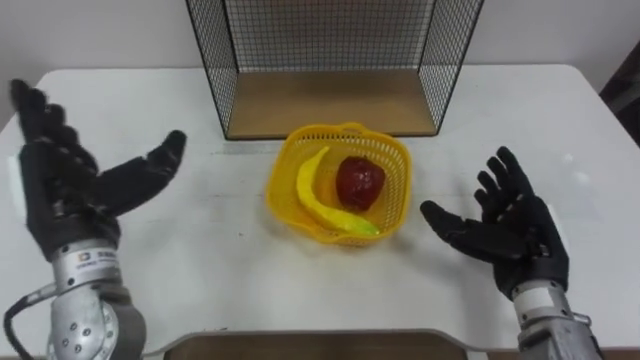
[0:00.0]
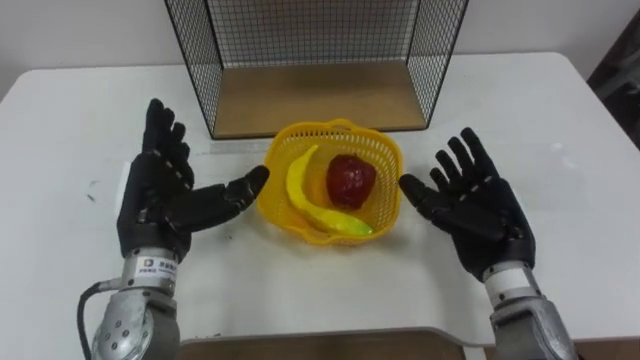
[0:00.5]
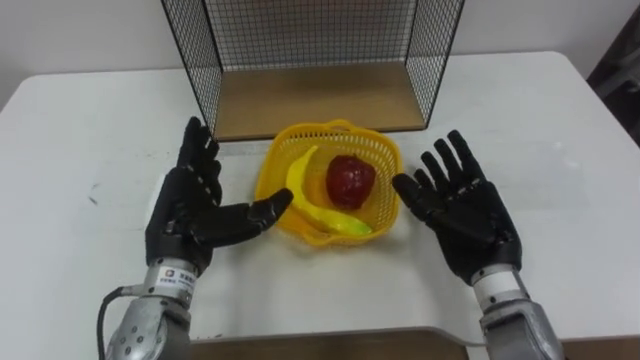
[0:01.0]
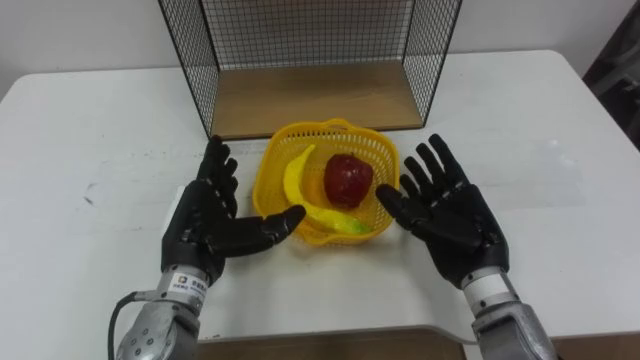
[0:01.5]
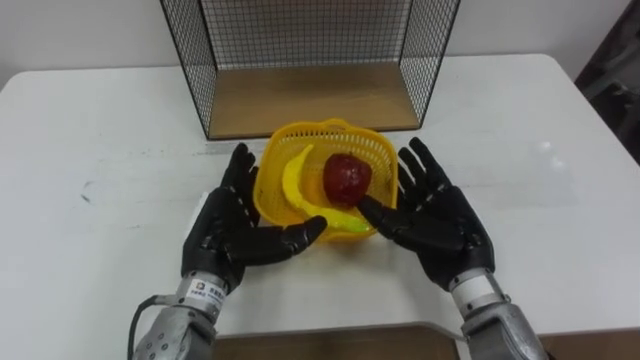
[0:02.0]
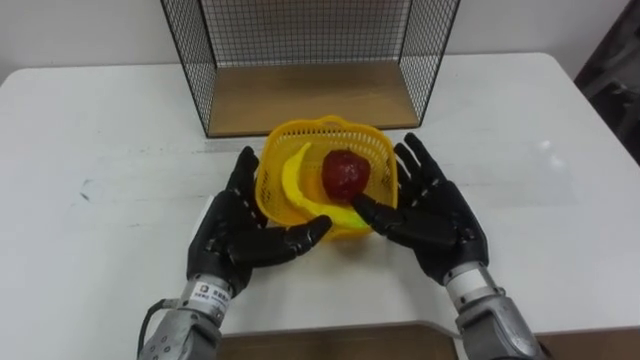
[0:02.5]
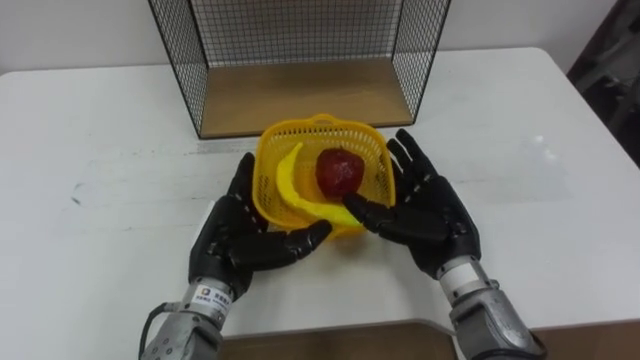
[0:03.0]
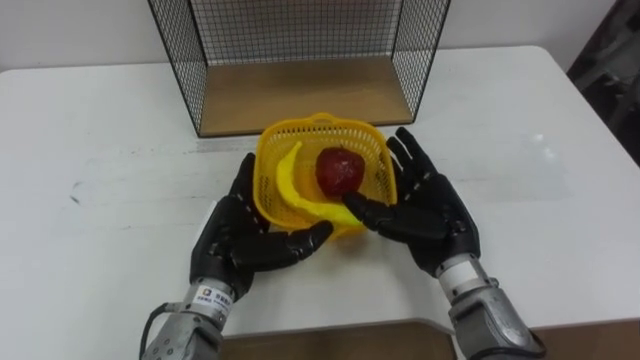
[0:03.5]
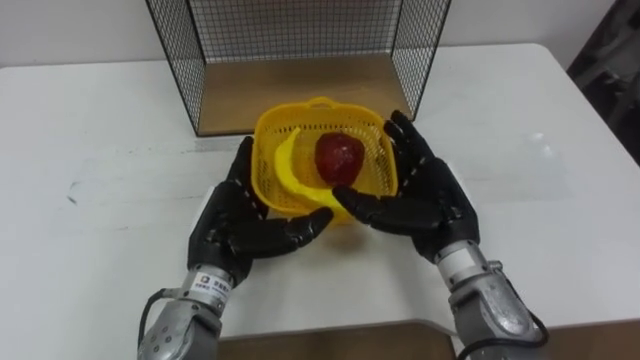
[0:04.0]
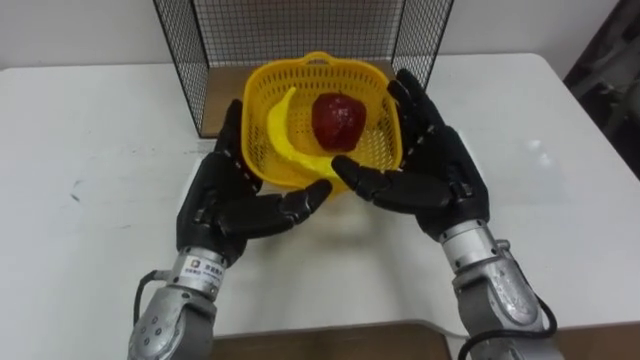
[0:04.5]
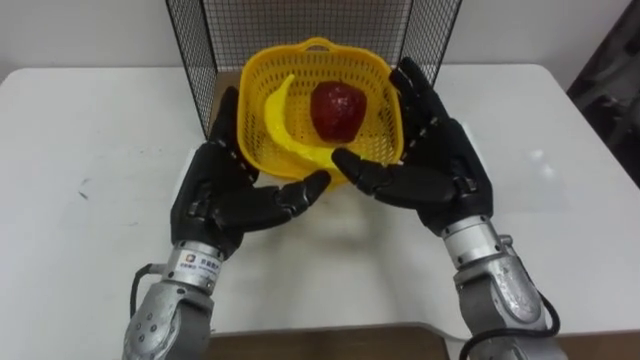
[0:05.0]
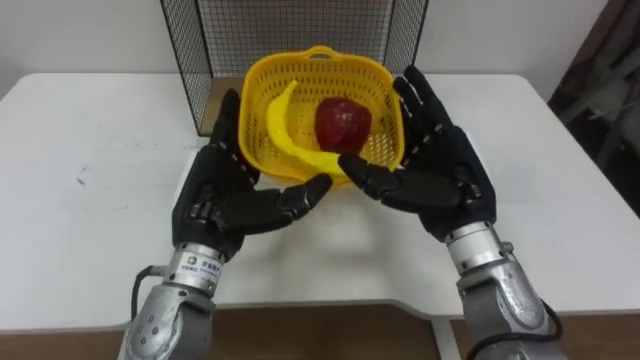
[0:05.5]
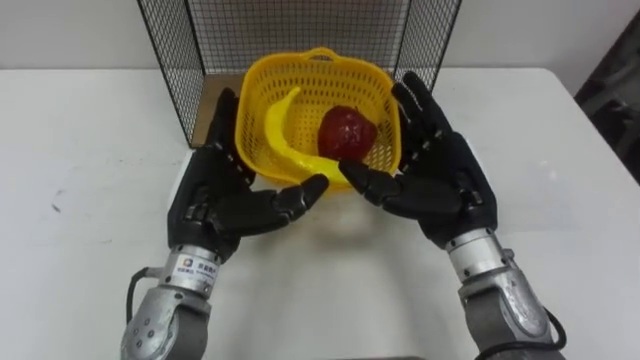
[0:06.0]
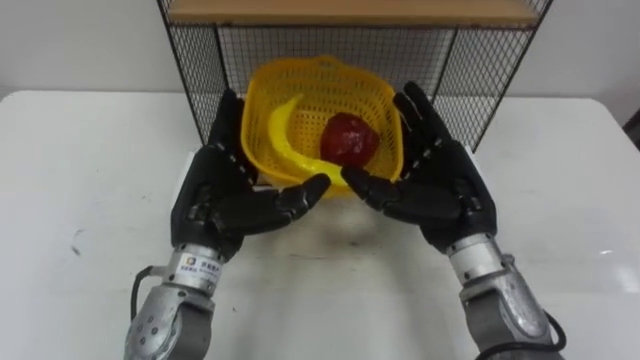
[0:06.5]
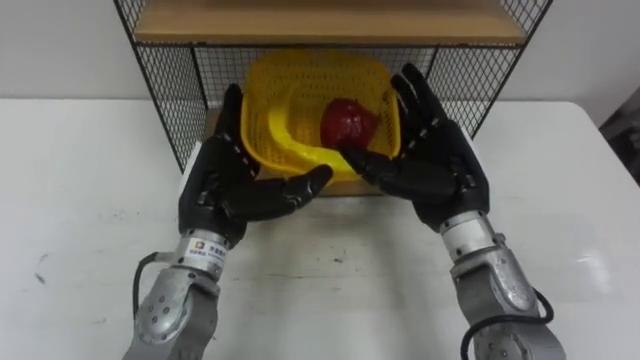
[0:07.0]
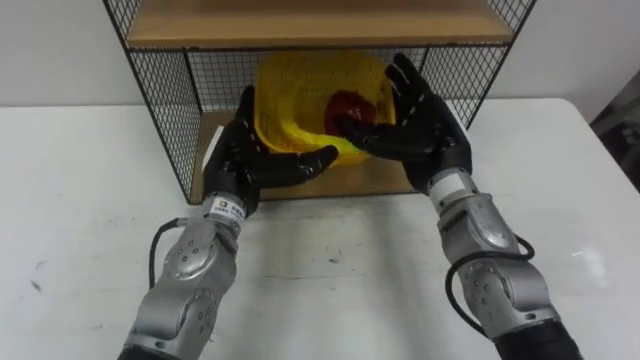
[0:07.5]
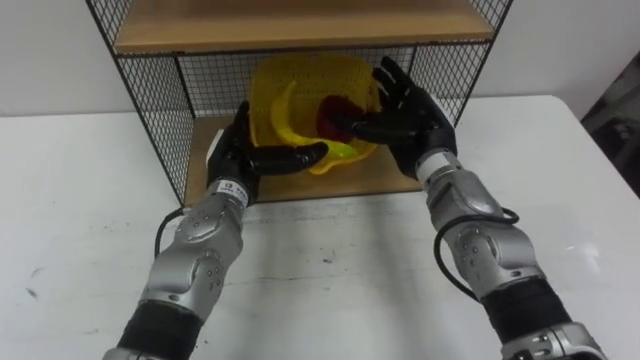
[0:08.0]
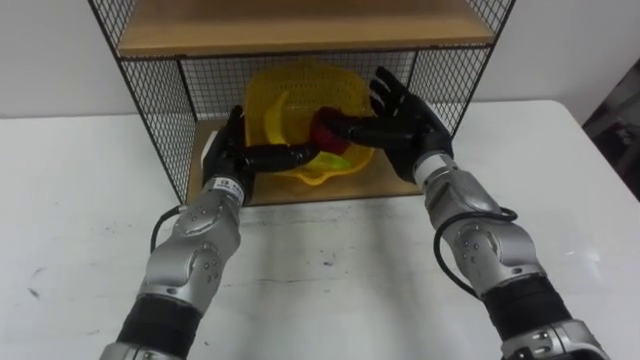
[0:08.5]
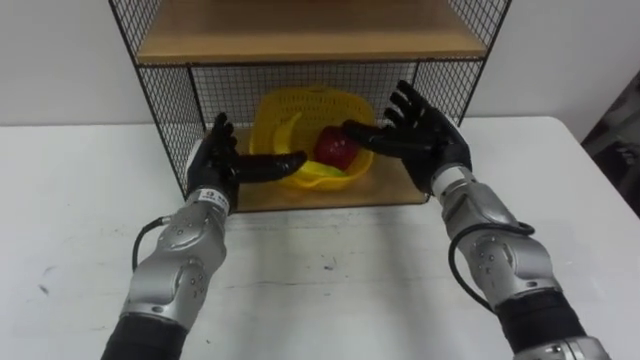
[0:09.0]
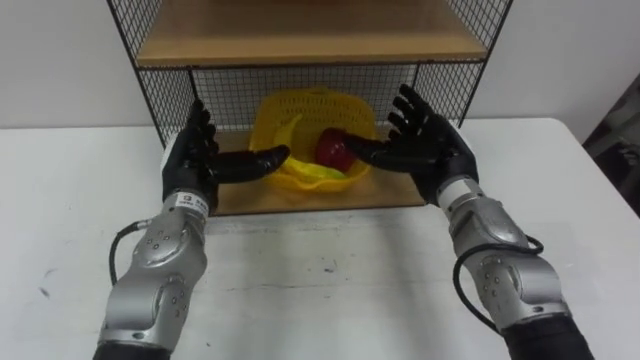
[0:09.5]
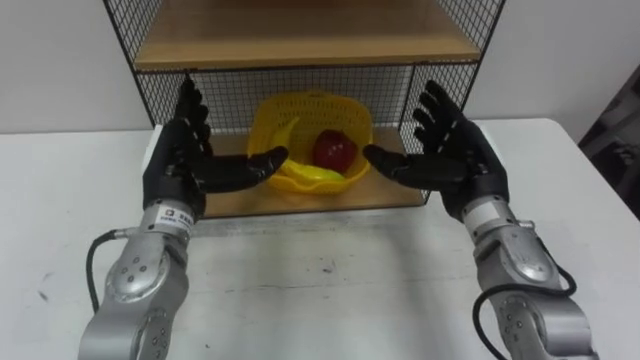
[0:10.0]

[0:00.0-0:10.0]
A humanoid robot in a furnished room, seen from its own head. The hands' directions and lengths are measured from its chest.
Task of the whole recording: Put the fruit on the table into the basket, then place the basket on the shelf.
0:00.0 to 0:02.0: The right hand moves to the left, some 10 cm. Meanwhile the left hand is displaced to the right and downward by about 15 cm.
0:02.0 to 0:04.0: There are only small adjustments of the hands.
0:04.0 to 0:06.0: The right hand ends up roughly 5 cm from where it was. The left hand moves upward, roughly 5 cm.
0:06.0 to 0:08.0: The left hand goes roughly 10 cm forward and downward; the right hand shifts approximately 10 cm forward.
0:08.0 to 0:10.0: The left hand moves to the left, approximately 5 cm; the right hand is displaced to the right and backward by some 10 cm.

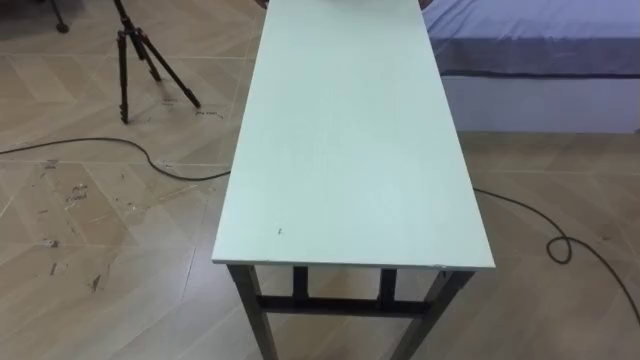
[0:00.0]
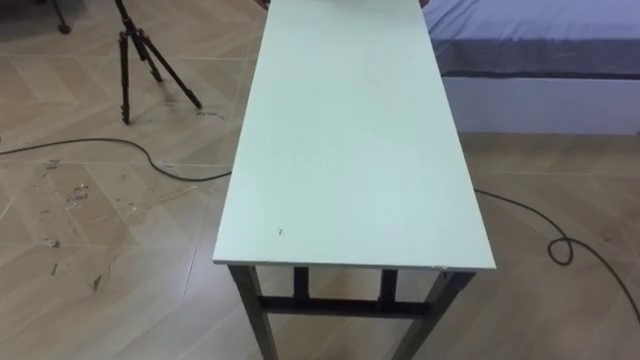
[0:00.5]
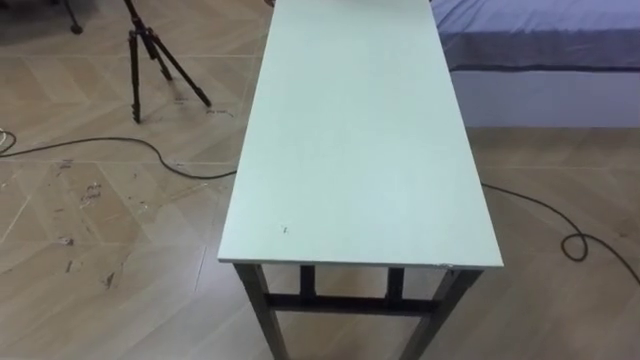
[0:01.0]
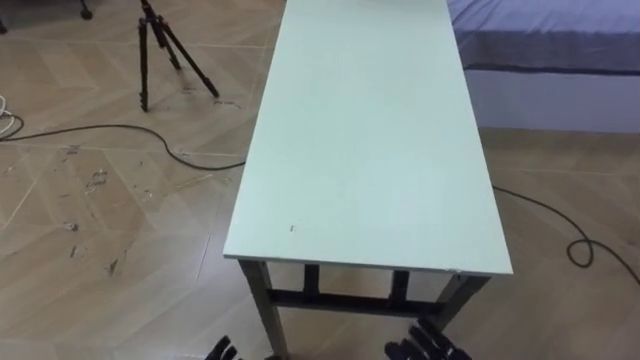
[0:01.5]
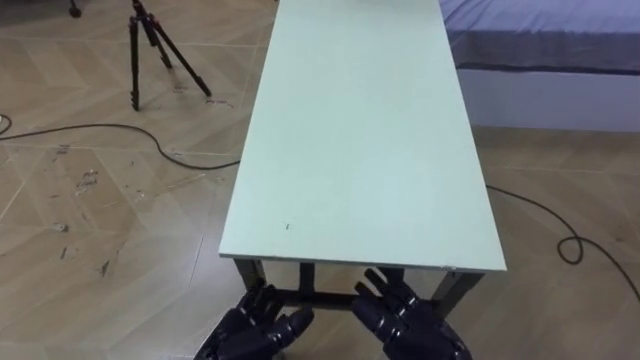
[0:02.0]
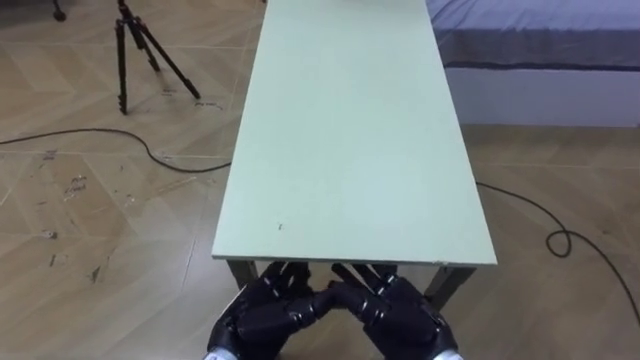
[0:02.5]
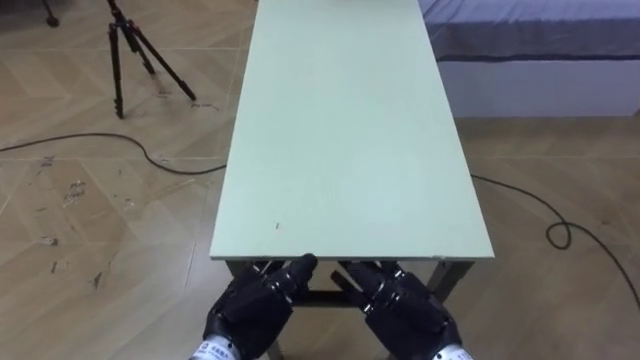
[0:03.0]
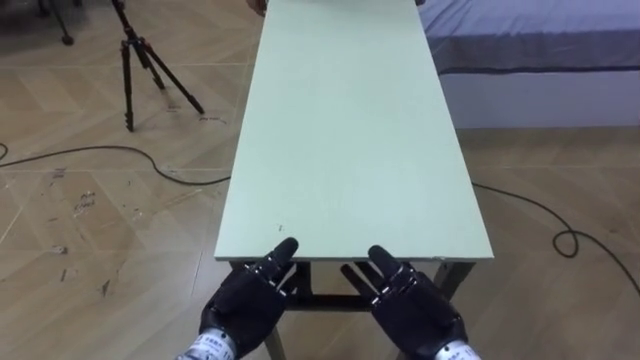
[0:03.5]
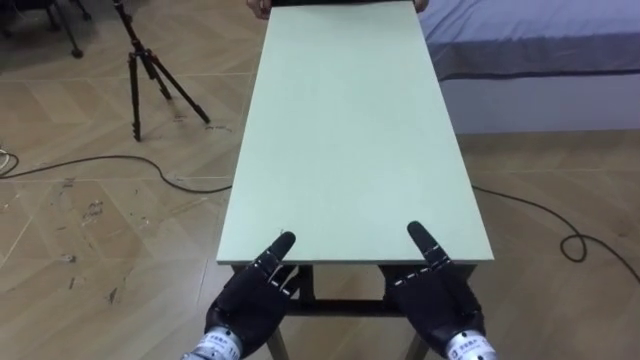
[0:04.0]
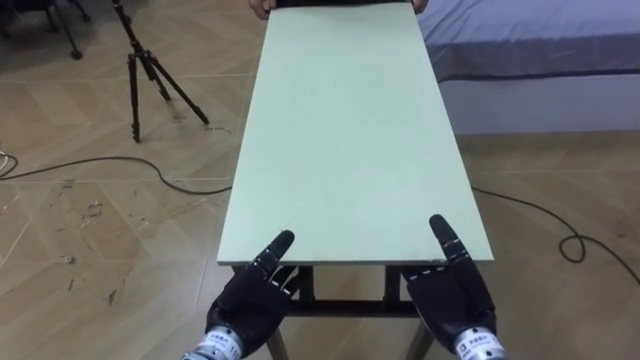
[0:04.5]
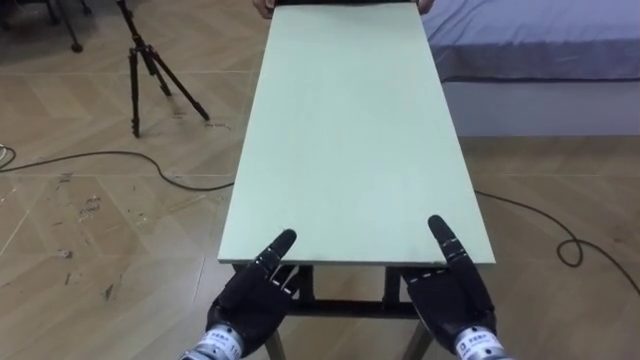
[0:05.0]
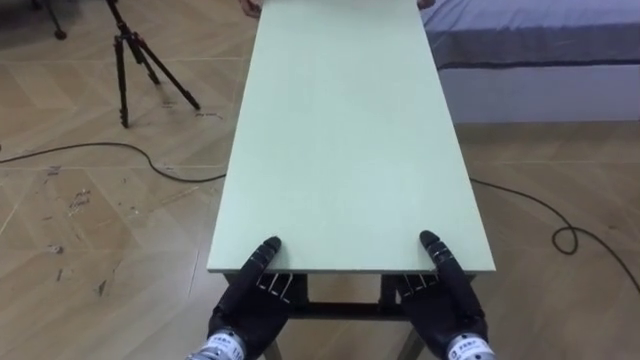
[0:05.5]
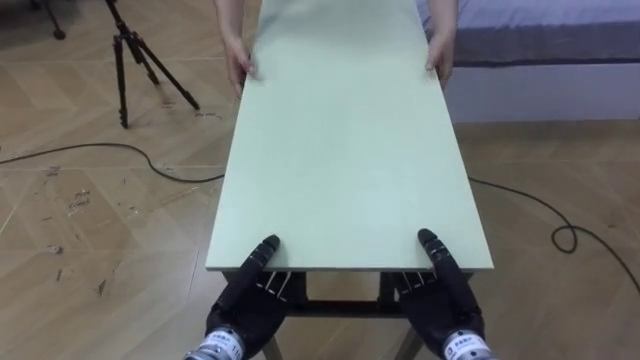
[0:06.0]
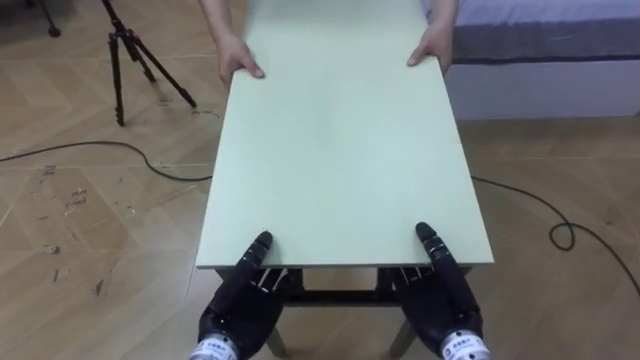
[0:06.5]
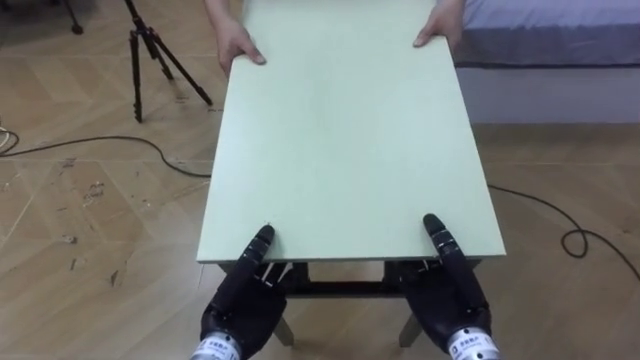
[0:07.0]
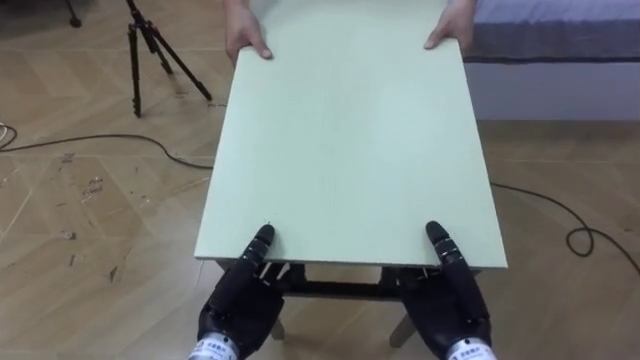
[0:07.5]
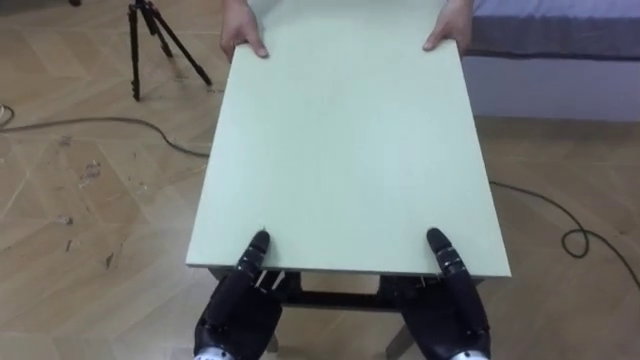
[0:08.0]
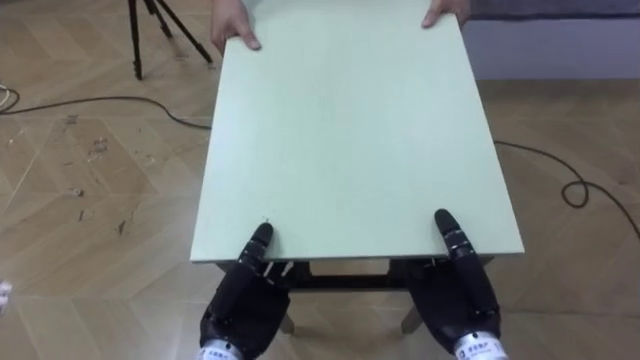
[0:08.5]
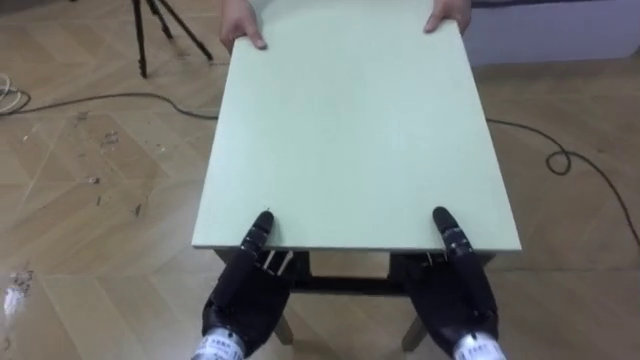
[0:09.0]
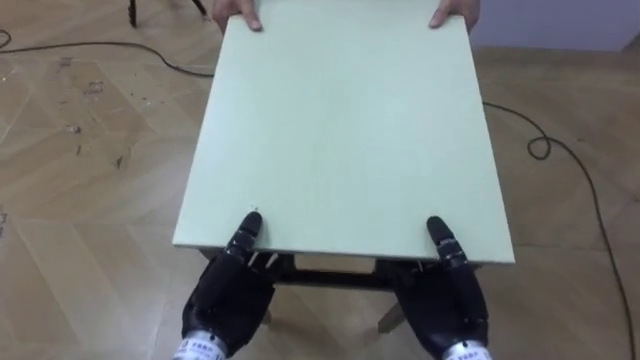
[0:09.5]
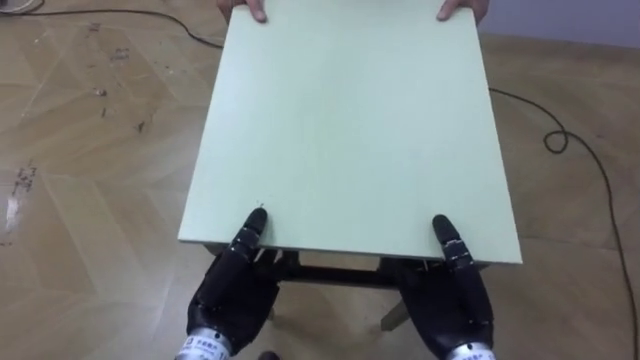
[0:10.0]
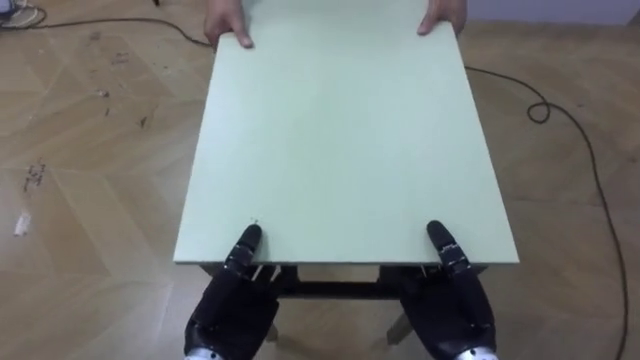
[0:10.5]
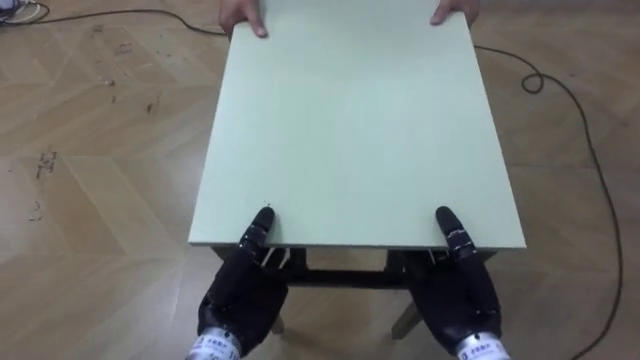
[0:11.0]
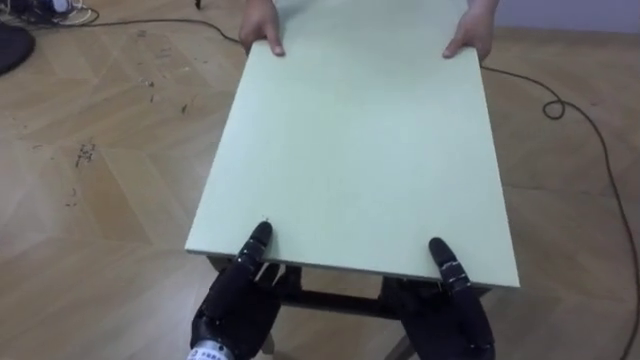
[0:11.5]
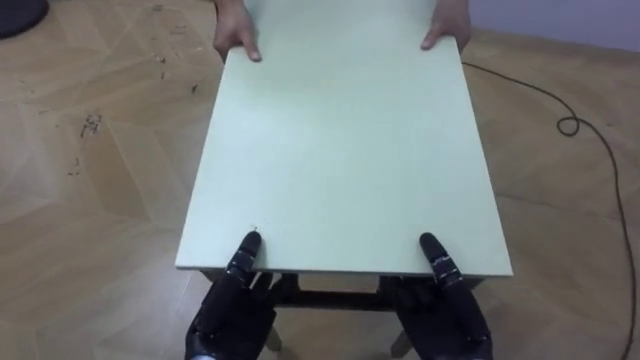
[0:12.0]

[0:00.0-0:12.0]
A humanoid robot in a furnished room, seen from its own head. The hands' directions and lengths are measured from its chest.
Task of the whole recording: Move the table to the back left with someone.
0:02.0 to 0:04.0: The left hand travels forward by approximately 5 cm. The right hand moves approximately 5 cm.
0:04.0 to 0:06.0: The left hand closes up; the right hand closes.
